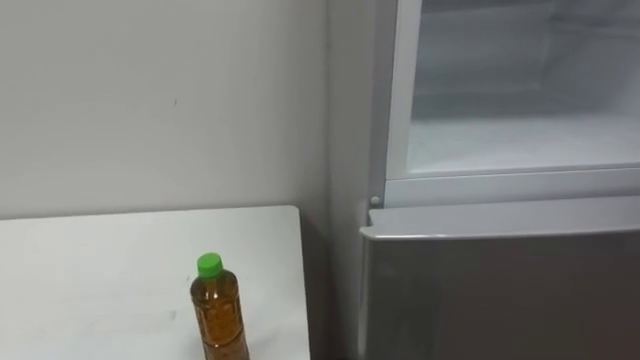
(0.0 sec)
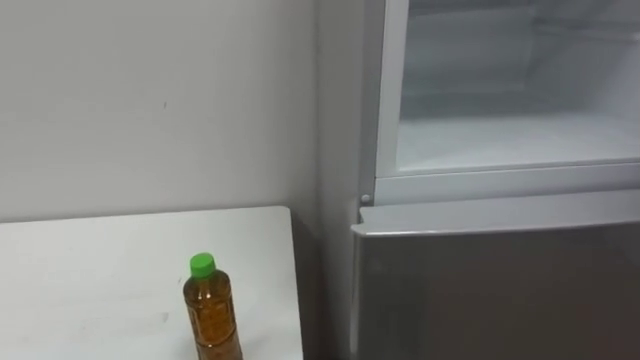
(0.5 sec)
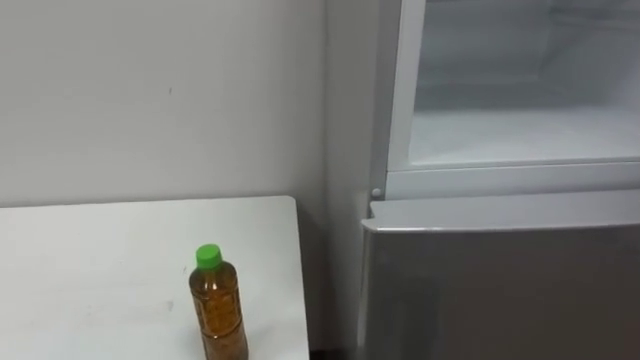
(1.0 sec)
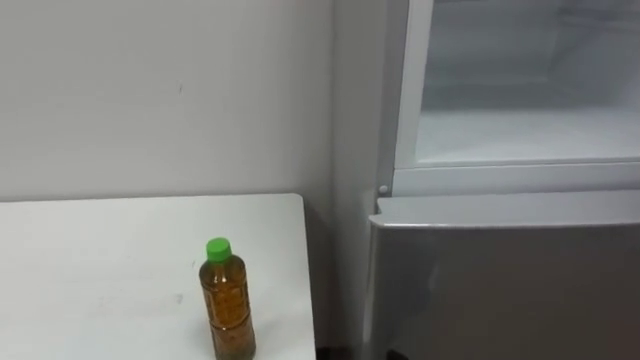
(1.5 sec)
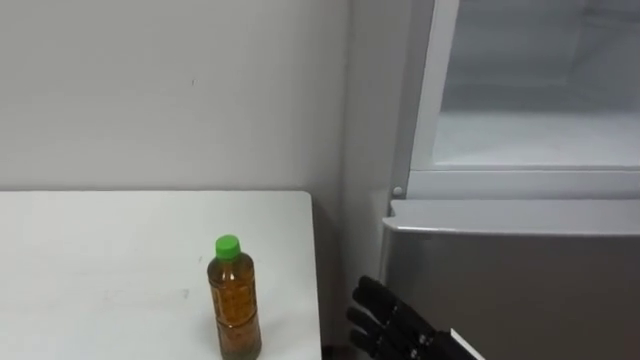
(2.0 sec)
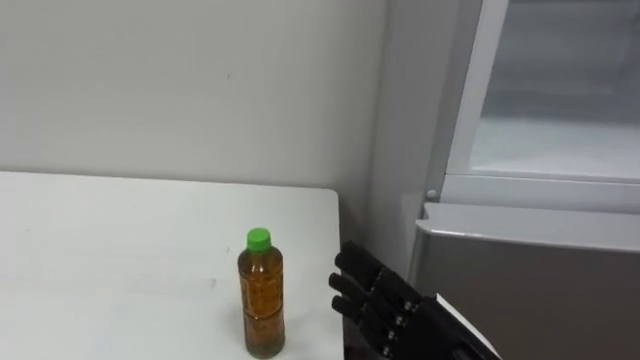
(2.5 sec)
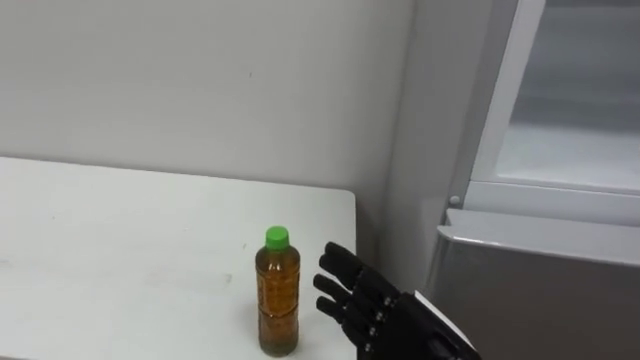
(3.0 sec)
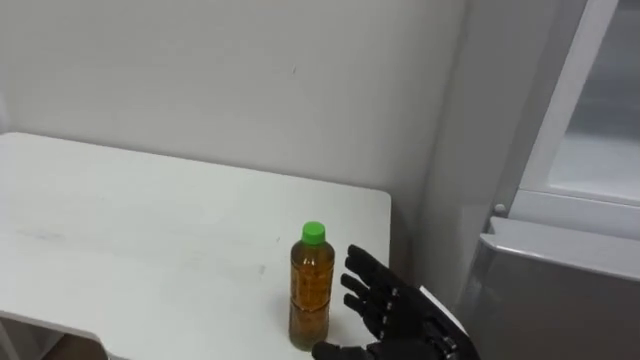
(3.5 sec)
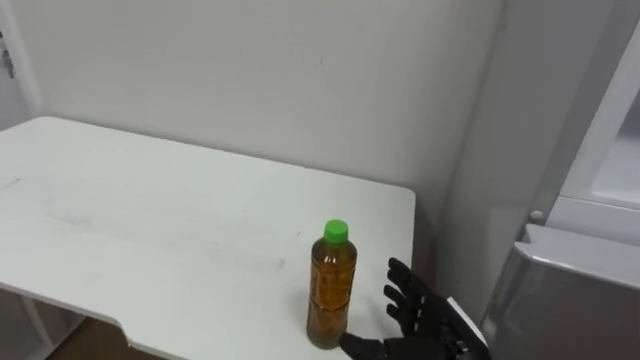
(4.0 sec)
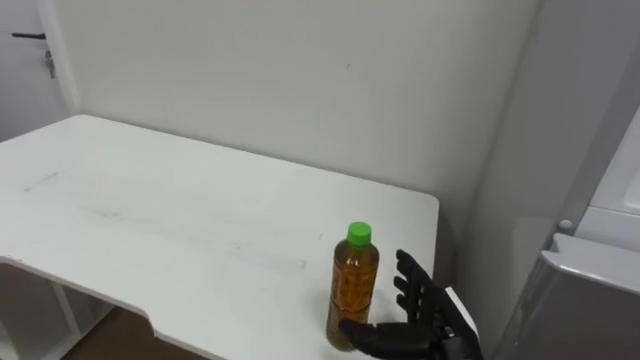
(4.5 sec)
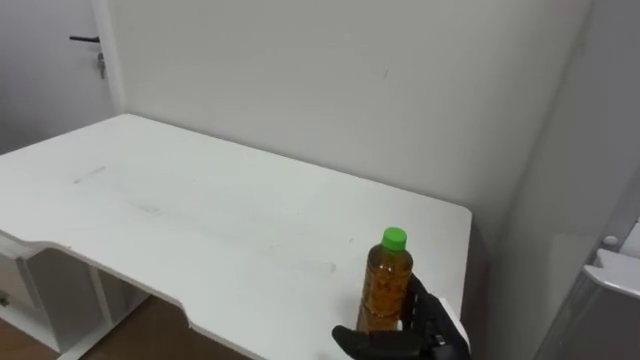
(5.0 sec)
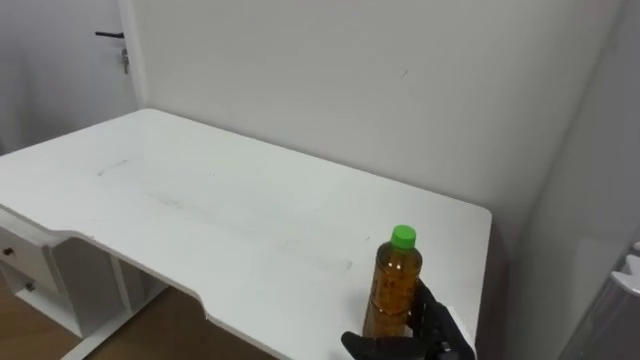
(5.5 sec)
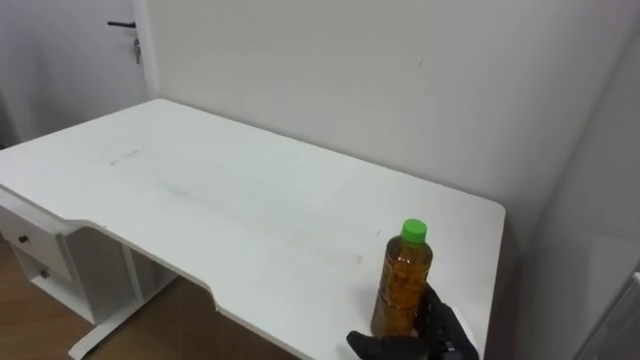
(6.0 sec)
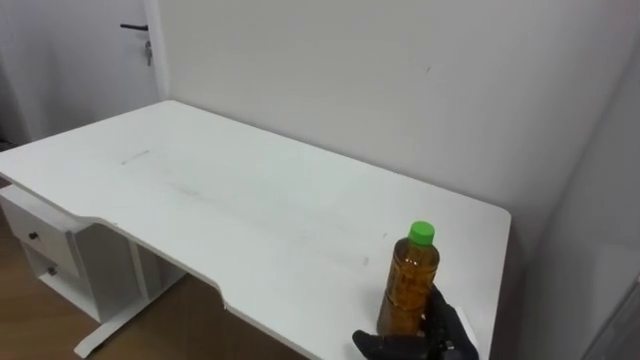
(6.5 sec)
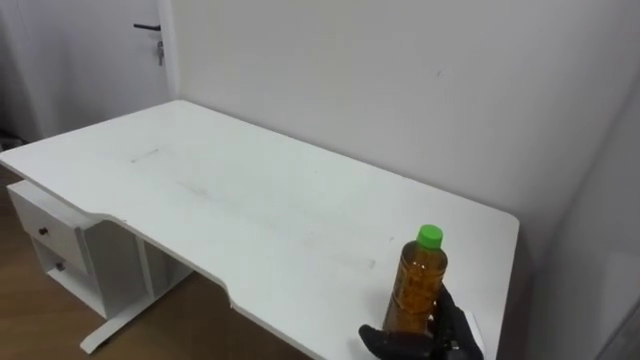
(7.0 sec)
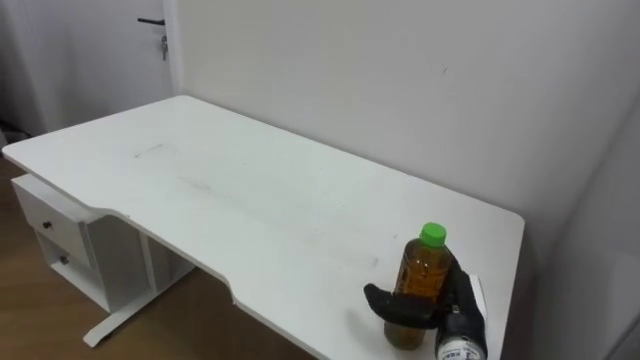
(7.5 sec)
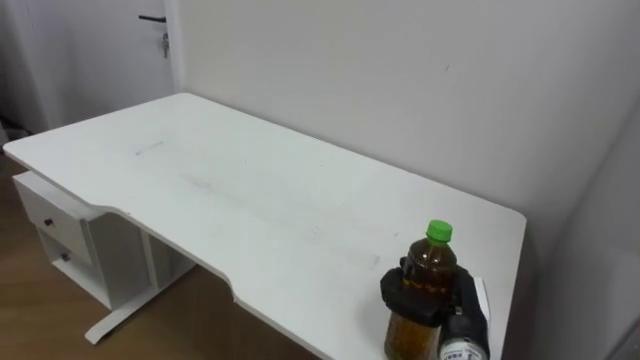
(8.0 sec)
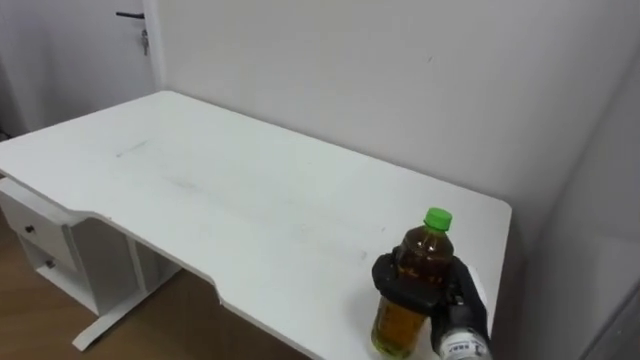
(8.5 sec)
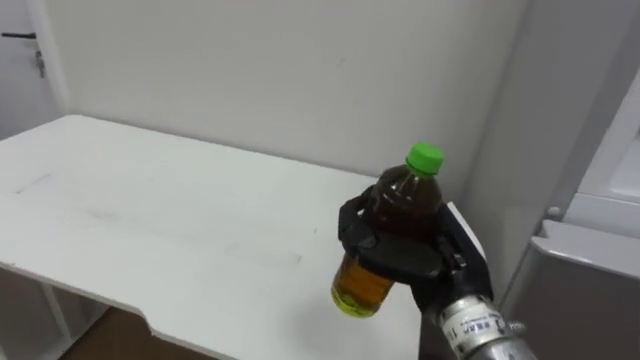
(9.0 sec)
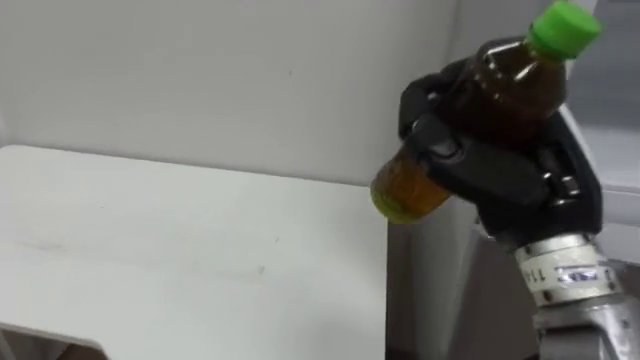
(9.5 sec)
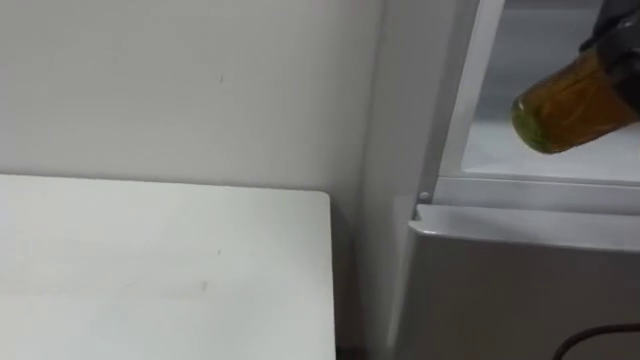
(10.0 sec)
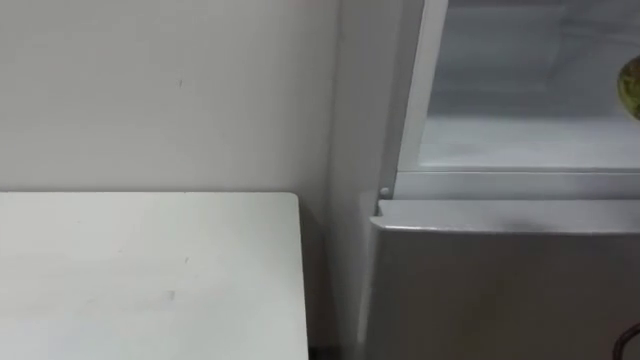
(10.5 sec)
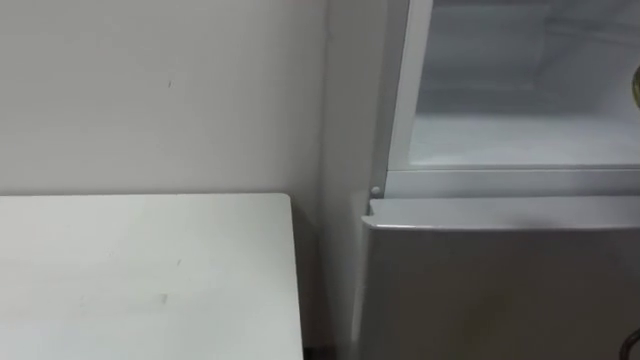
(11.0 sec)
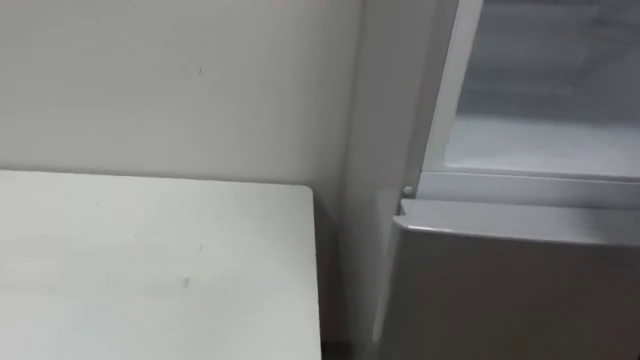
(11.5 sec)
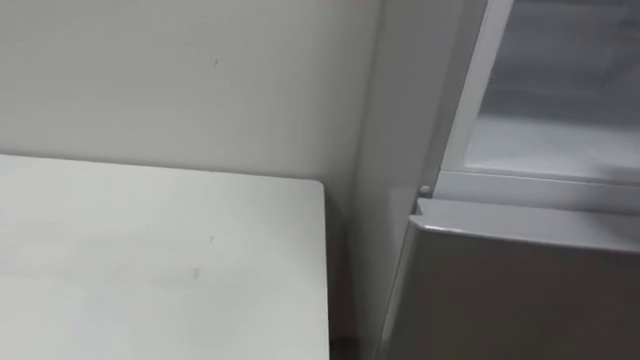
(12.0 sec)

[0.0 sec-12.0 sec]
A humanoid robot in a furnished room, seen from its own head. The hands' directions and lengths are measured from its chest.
Task of the whole recording: Open the upper refrigerator door, put the drink from the table into the refrigerator, and then close the refrigerator door.
6.0 sec to 8.0 sec: The right hand closes its fingers.

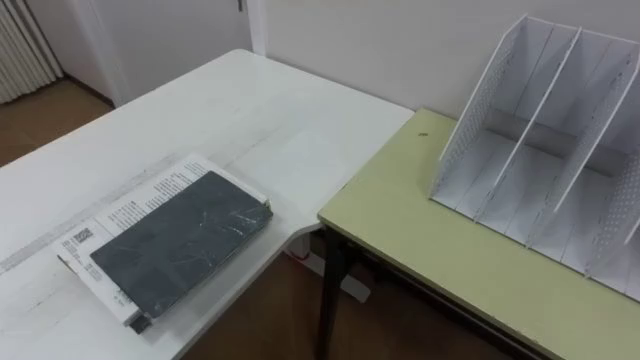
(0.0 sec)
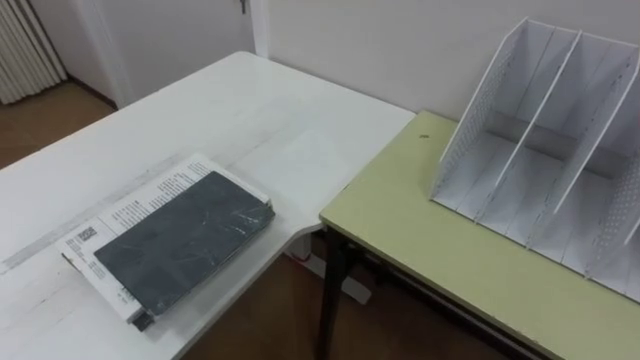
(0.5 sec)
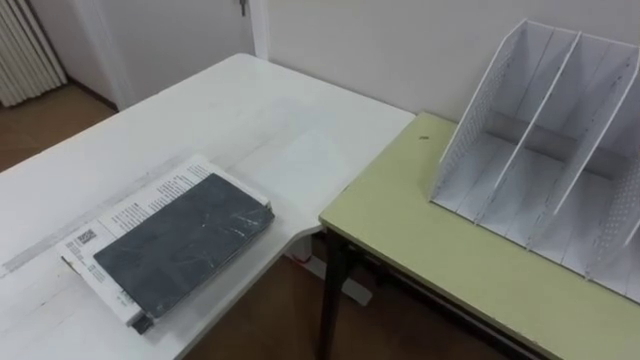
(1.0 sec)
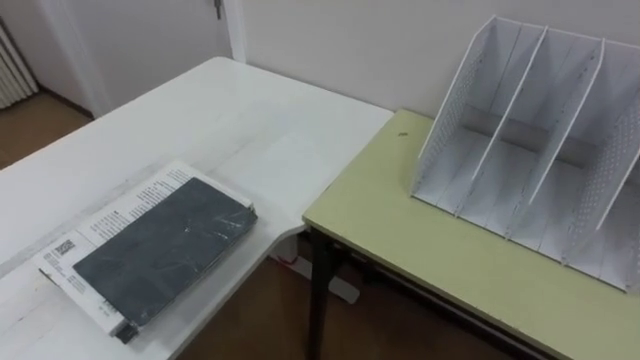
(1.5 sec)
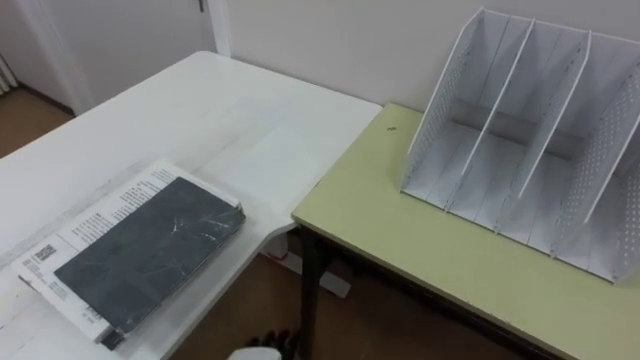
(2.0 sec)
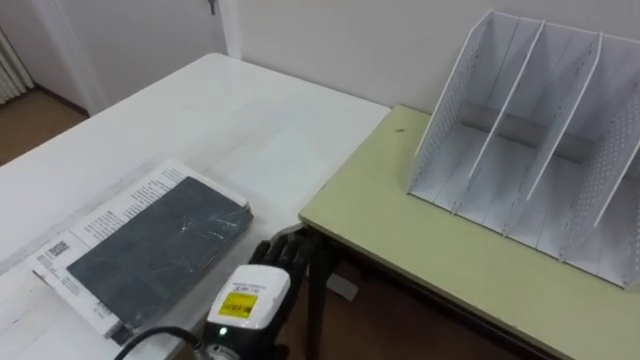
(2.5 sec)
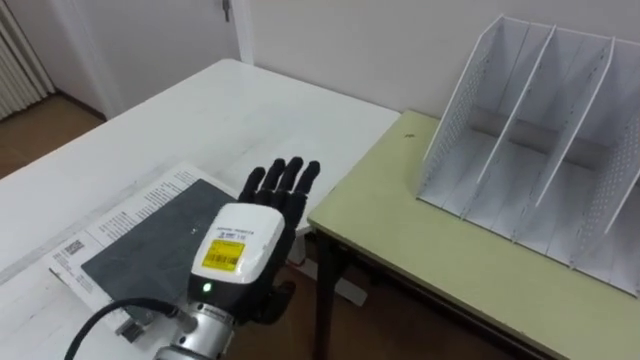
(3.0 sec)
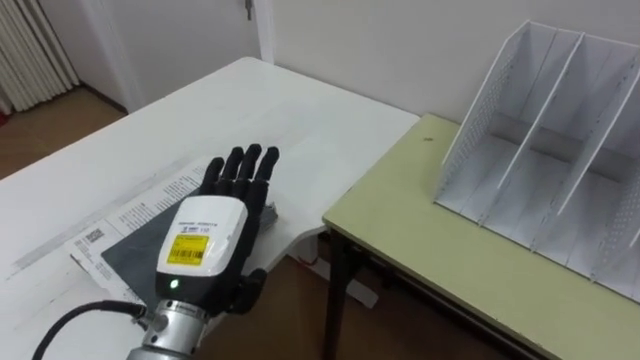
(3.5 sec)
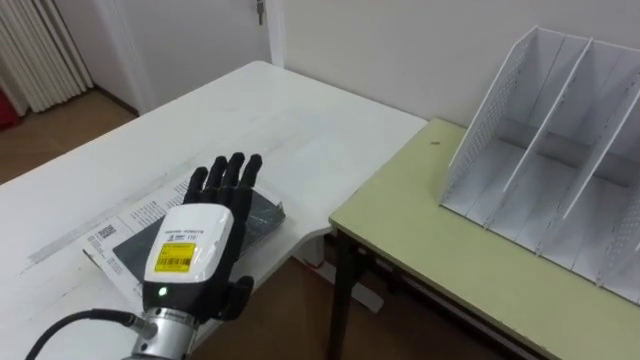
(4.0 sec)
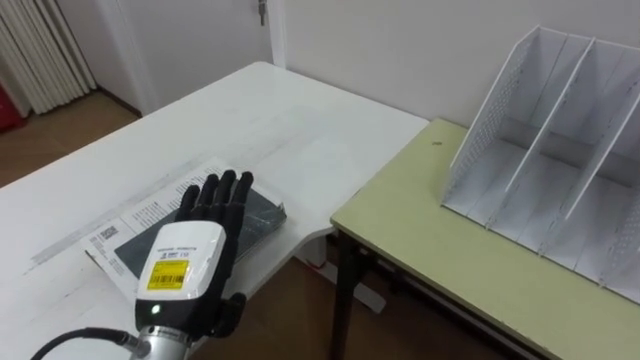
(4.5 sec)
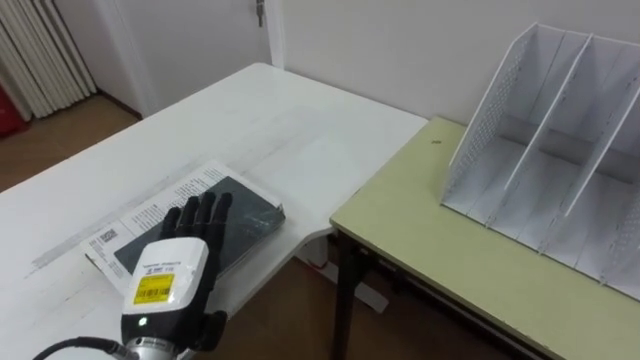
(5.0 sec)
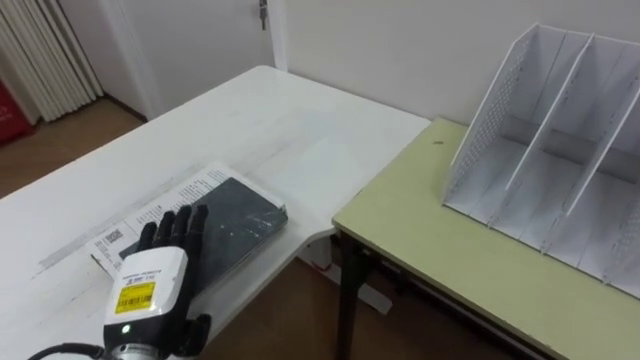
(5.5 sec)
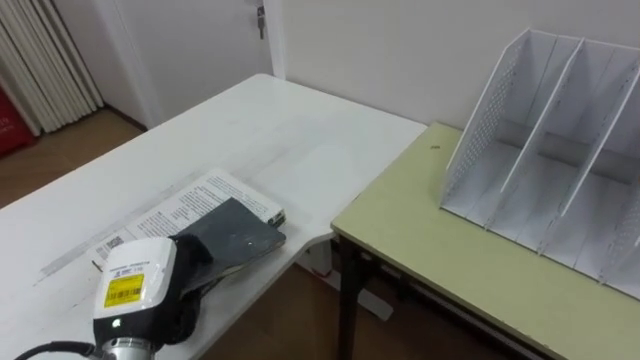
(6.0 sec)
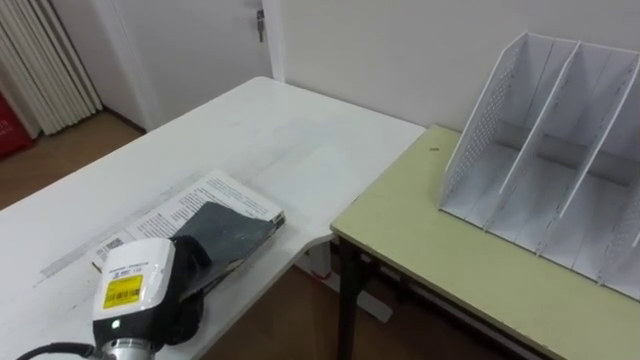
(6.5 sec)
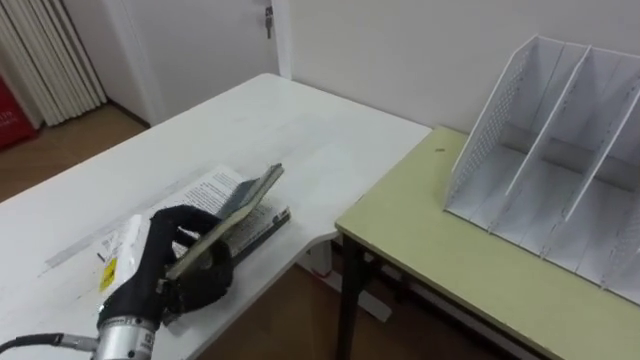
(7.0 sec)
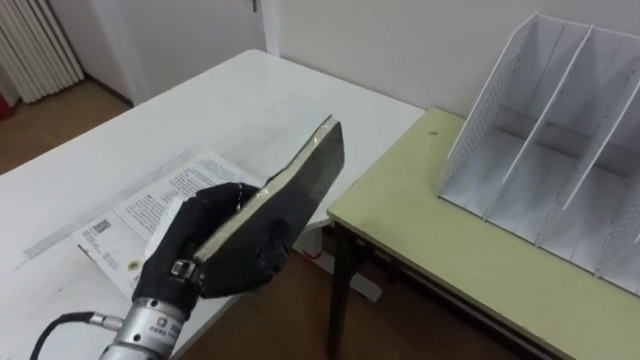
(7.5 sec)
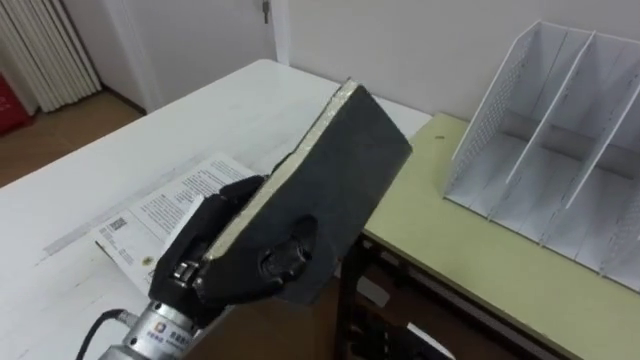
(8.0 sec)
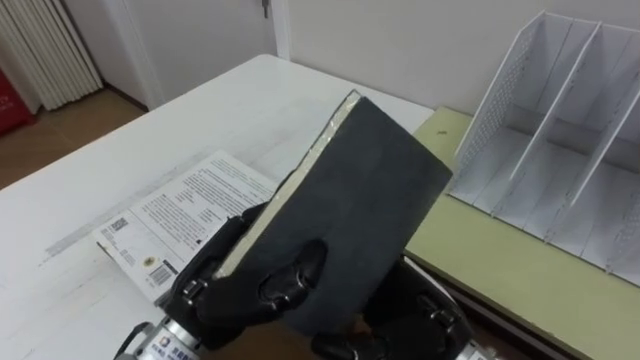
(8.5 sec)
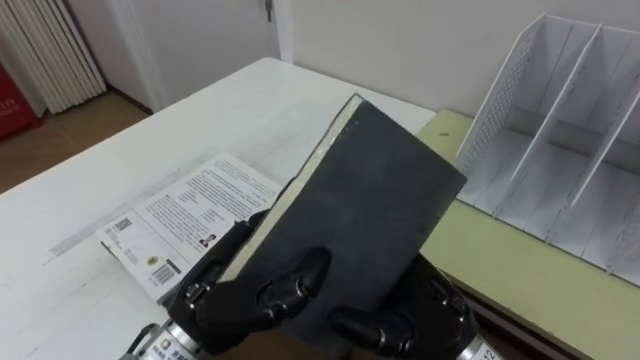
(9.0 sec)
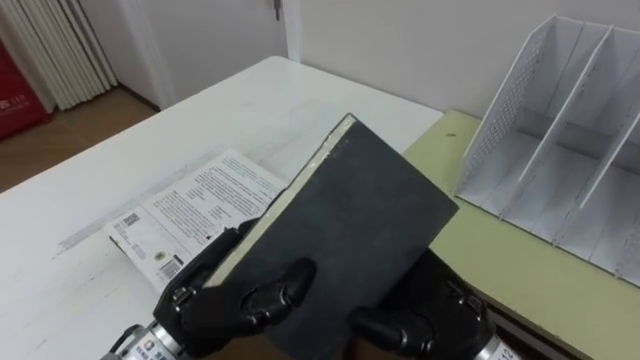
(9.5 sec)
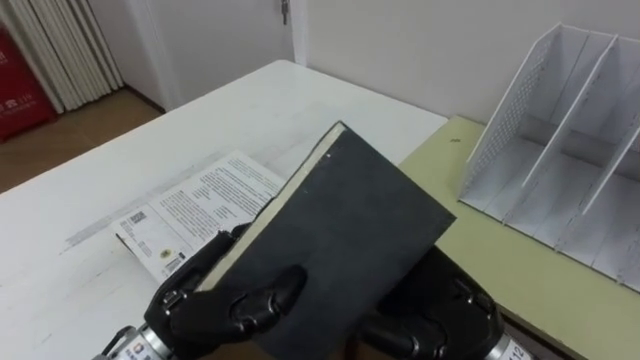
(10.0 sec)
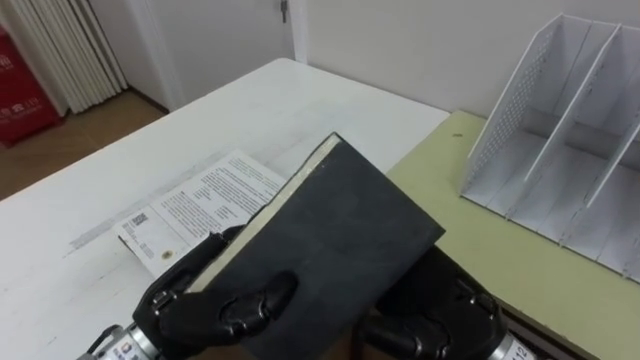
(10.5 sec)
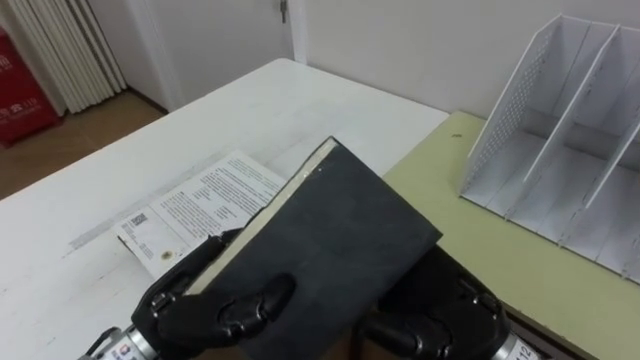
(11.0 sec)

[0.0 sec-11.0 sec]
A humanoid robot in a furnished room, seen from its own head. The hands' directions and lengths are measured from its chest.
Task of the whole recording: Put the books on the table onto the bookshelf.
3.5 sec to 5.5 sec: The left hand heads downward and to the left, covering about 10 cm.
5.5 sec to 7.5 sec: The left hand travels upward by some 5 cm, and closes up.
7.5 sec to 9.0 sec: The left hand travels to the right by roughly 5 cm.
9.0 sec to 11.0 sec: The hands make only small movements.
